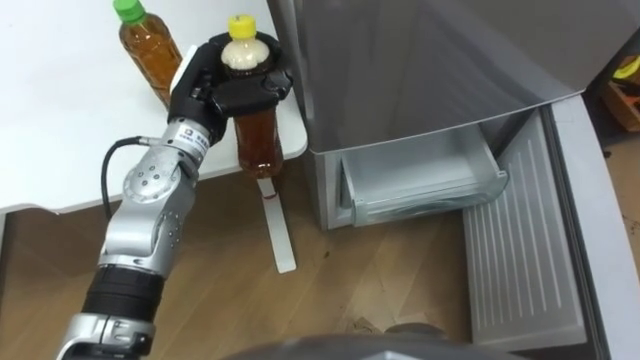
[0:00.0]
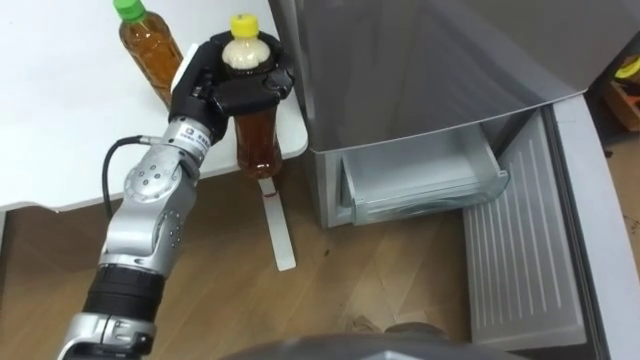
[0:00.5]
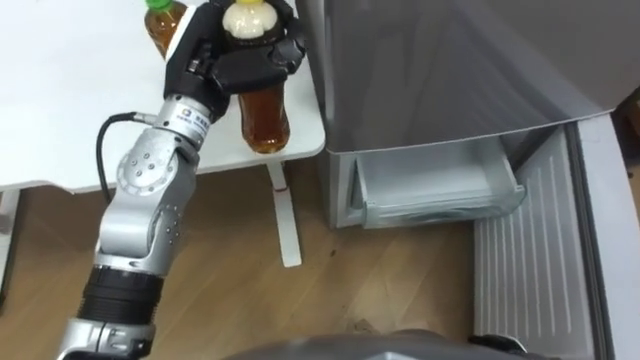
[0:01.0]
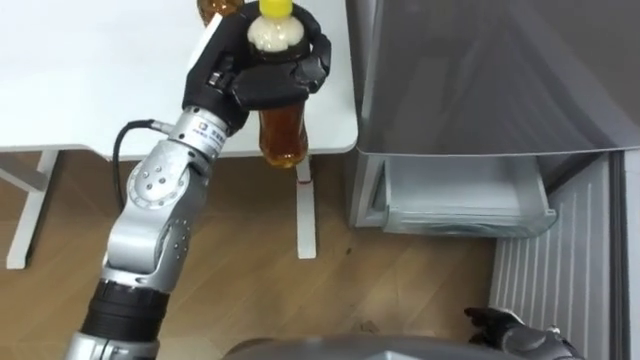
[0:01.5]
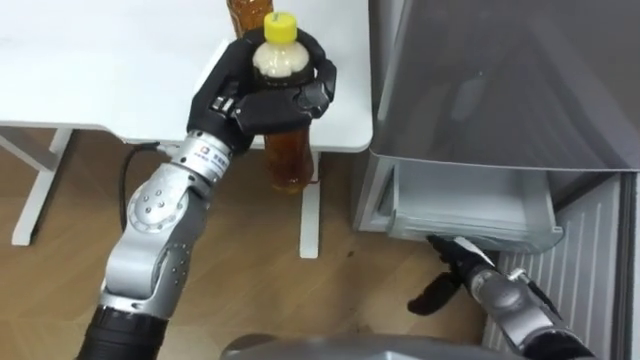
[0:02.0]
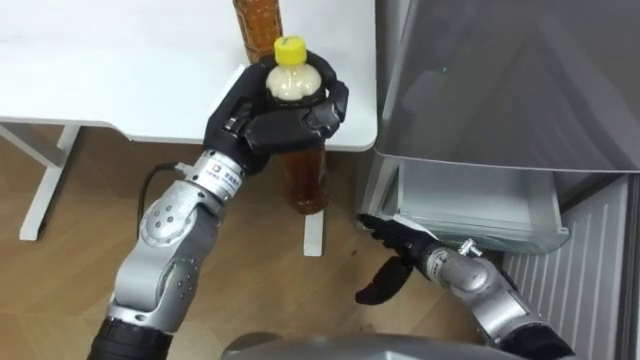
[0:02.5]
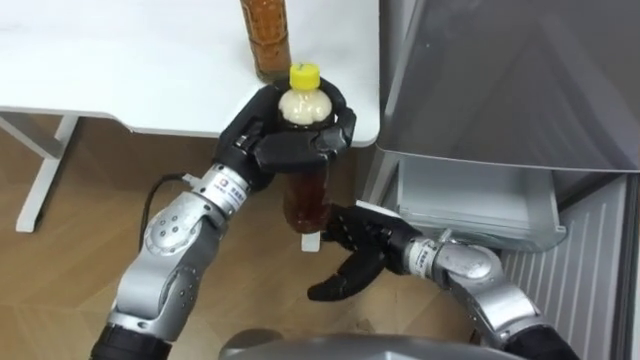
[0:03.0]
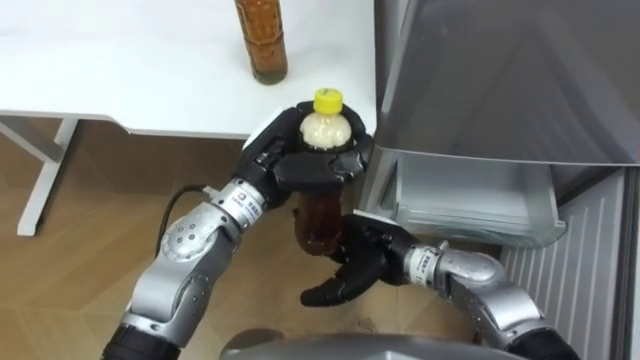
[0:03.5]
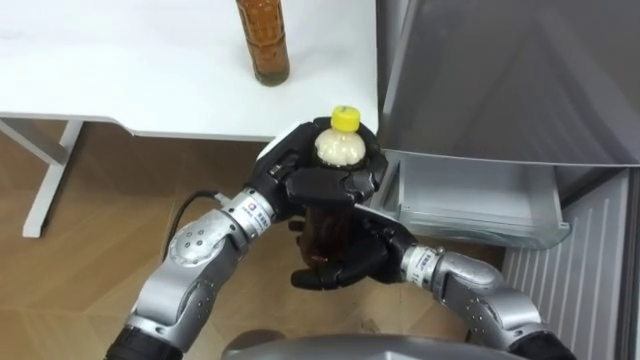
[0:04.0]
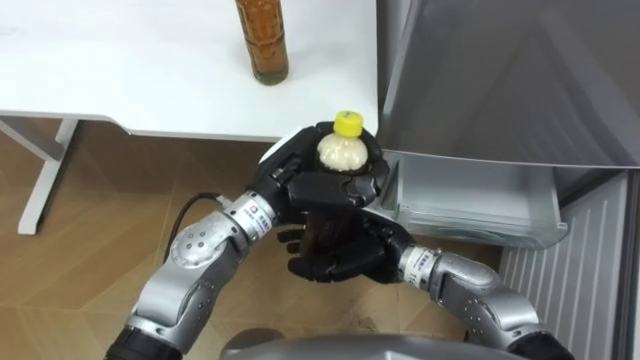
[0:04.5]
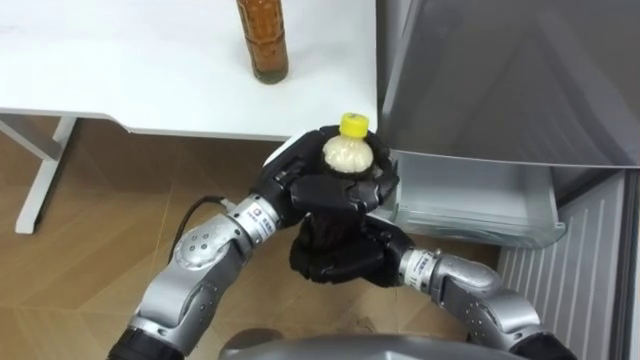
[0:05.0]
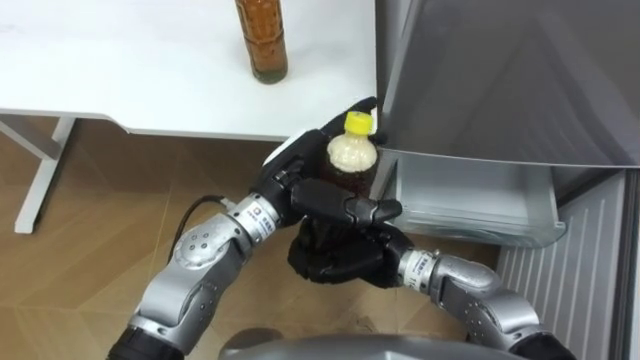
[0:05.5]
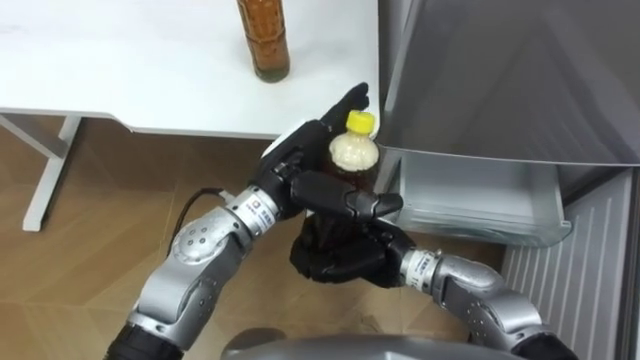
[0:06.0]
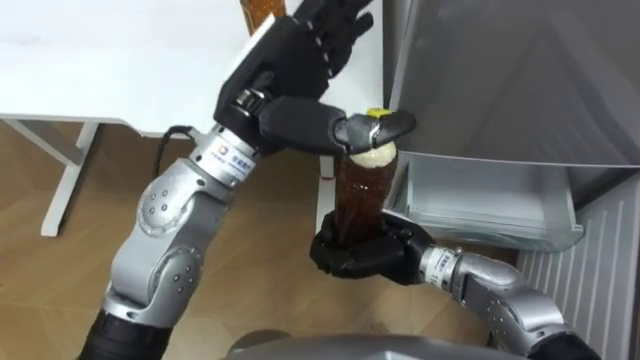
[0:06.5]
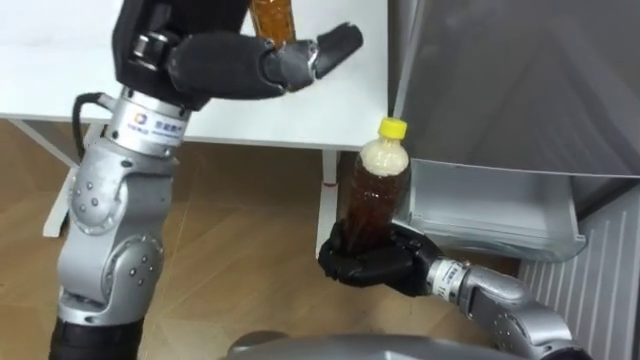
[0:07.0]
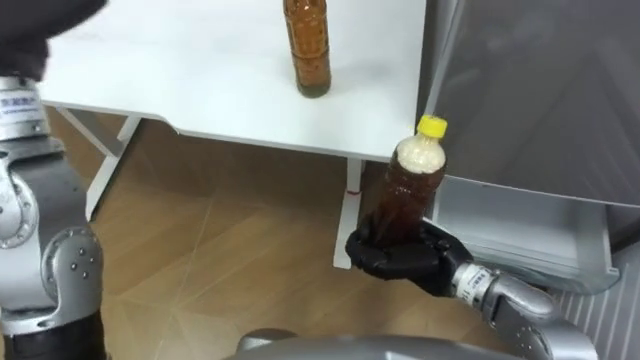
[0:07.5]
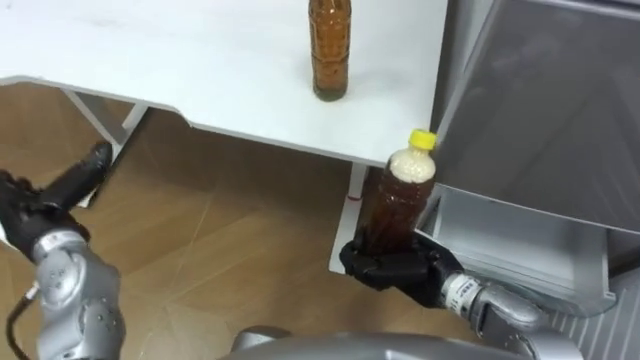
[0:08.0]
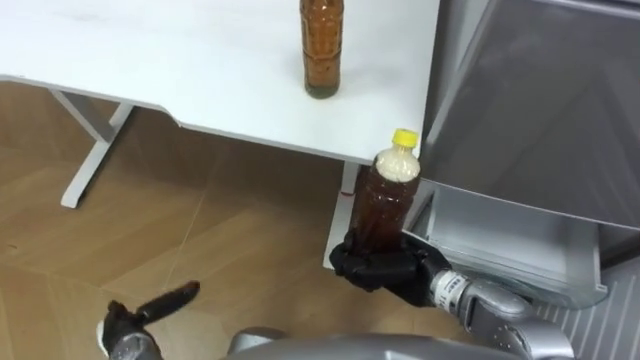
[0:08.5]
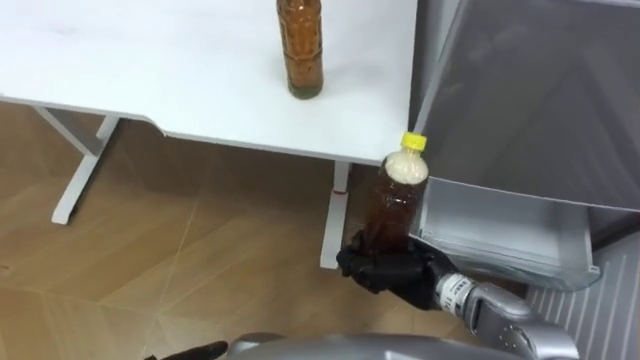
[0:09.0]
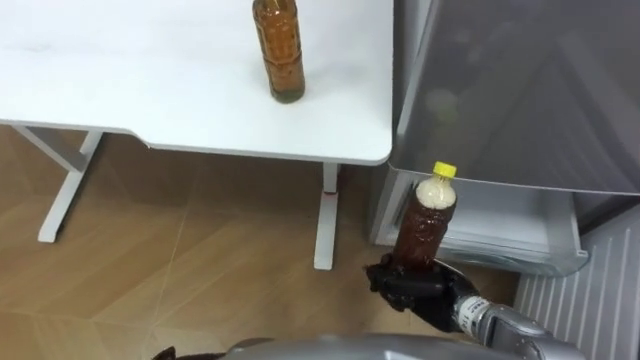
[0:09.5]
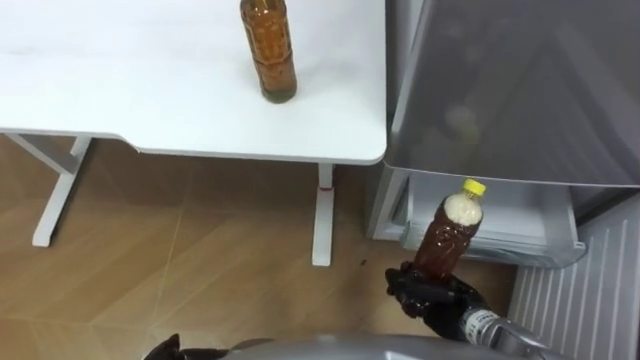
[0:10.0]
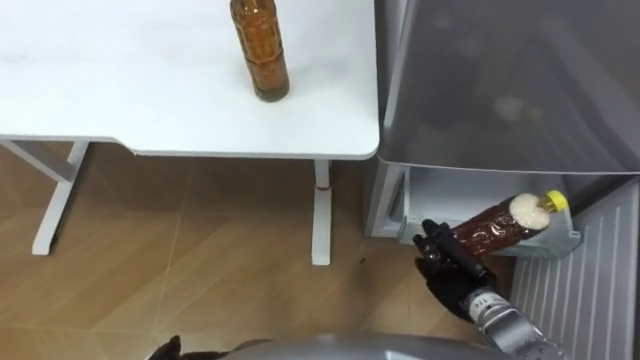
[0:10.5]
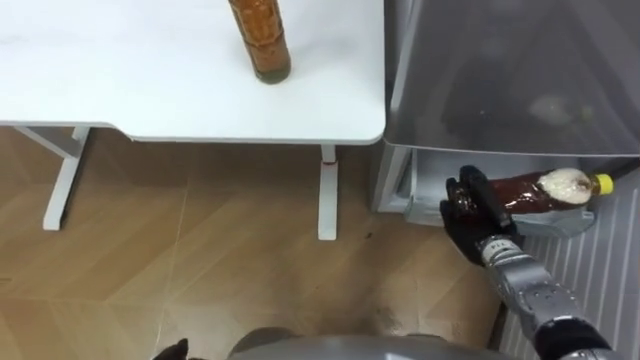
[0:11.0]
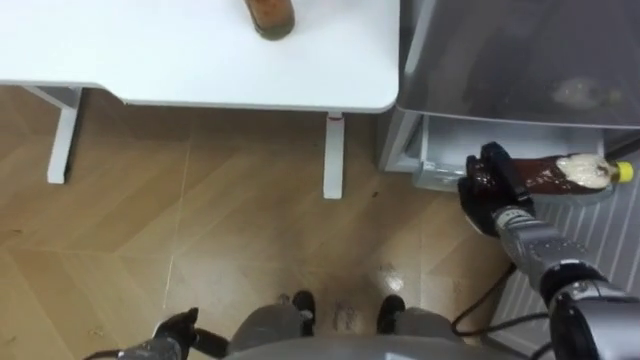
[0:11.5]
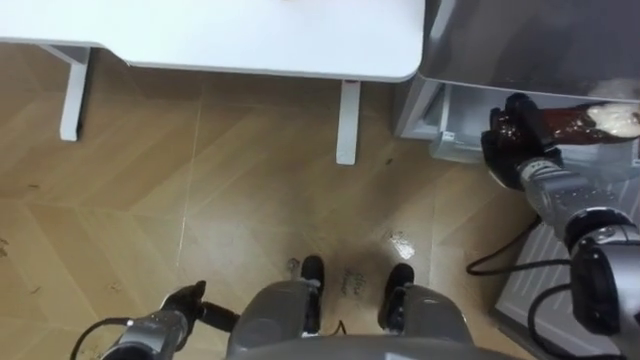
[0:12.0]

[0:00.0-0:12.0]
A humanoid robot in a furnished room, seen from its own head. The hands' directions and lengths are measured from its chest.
Task of the whole recording: Place the drink on the table on the bottom shelf of the refrigerator, then close the drawer and the refrigerator door.
0:00.0 to 0:02.0: The left hand shifts by some 5 cm.
0:02.0 to 0:04.0: The right hand is displaced to the left and upward by roughly 20 cm, while the left hand travels downward, to the right and backward by roughly 10 cm.
0:04.0 to 0:06.0: The left hand opens. The right hand closes.
0:06.0 to 0:08.0: The right hand travels to the right by roughly 10 cm.
0:08.0 to 0:10.0: The right hand is displaced downward and to the right by some 10 cm.
0:10.0 to 0:12.0: The right hand heads forward and to the right, covering some 20 cm.

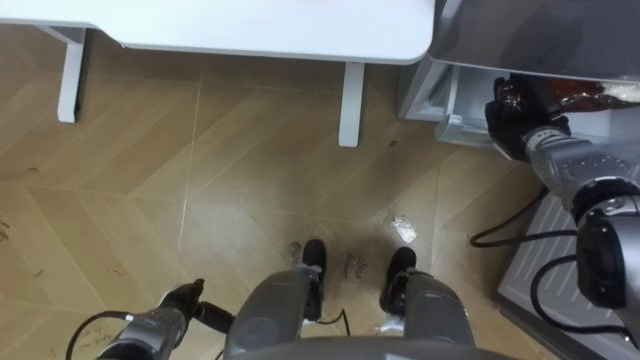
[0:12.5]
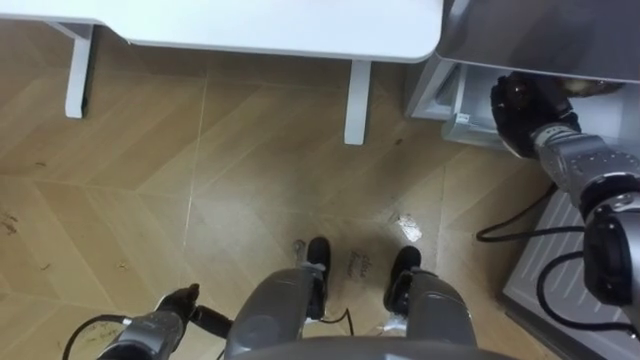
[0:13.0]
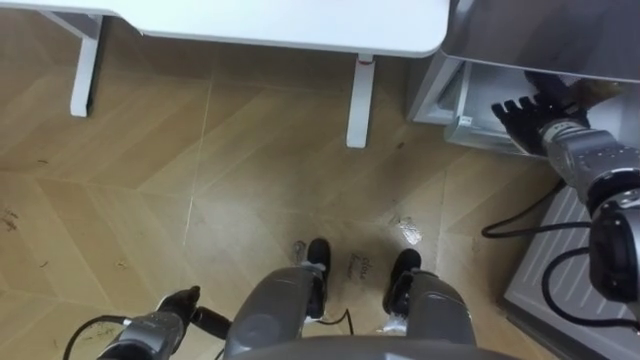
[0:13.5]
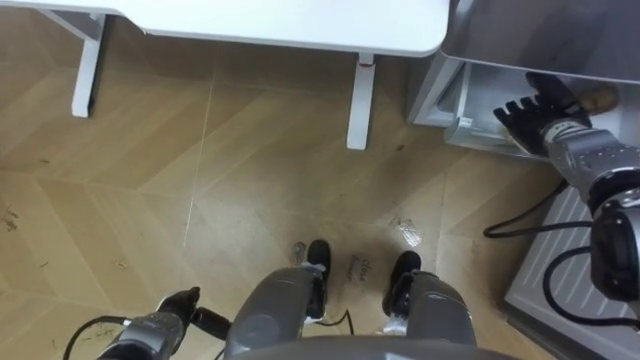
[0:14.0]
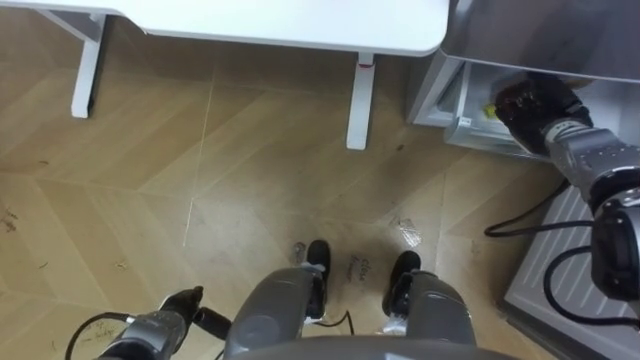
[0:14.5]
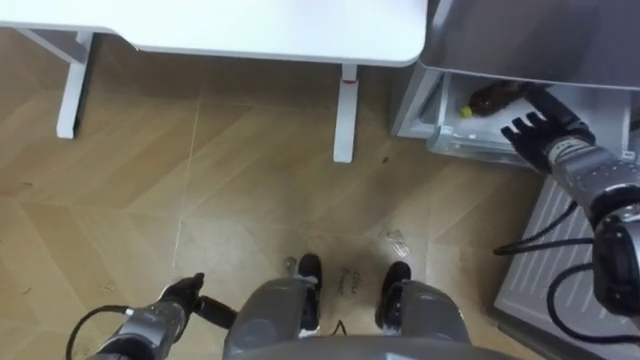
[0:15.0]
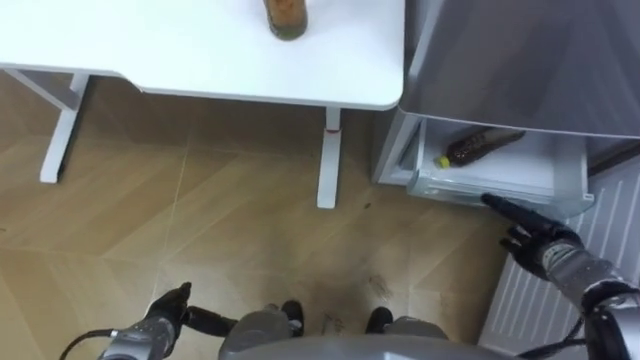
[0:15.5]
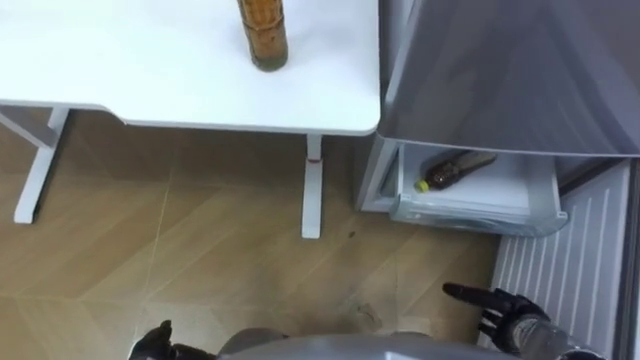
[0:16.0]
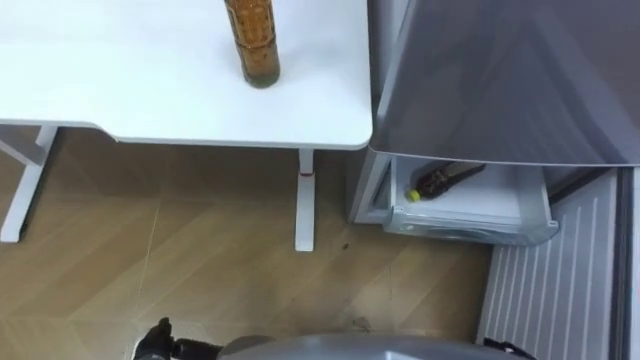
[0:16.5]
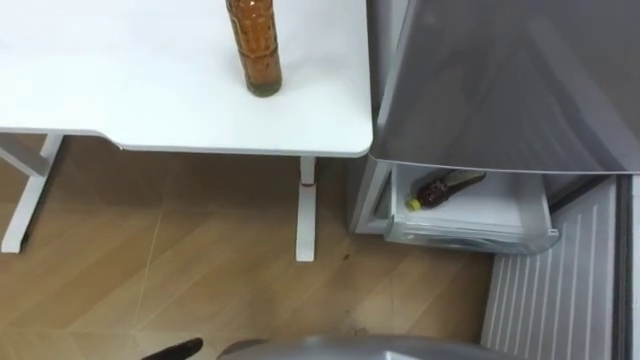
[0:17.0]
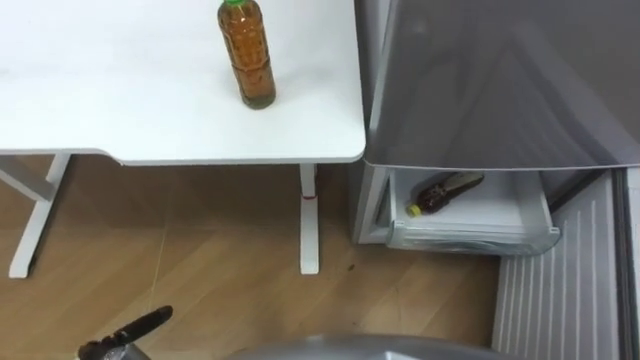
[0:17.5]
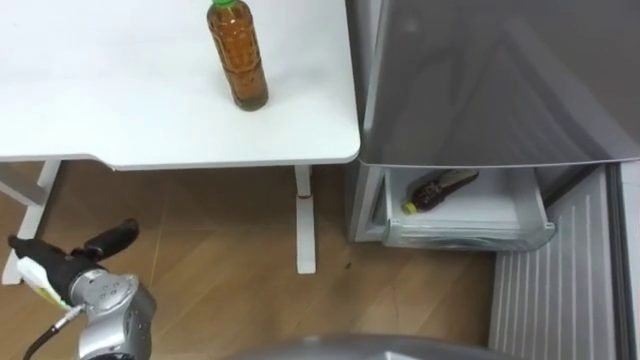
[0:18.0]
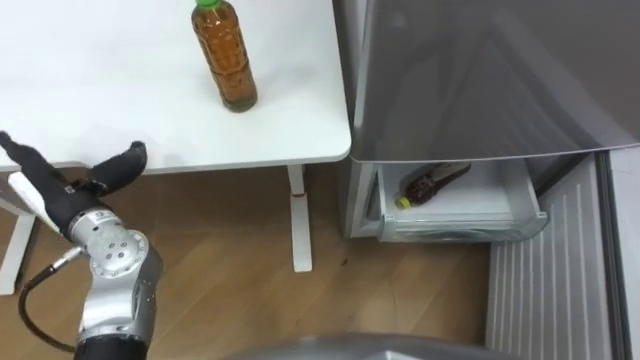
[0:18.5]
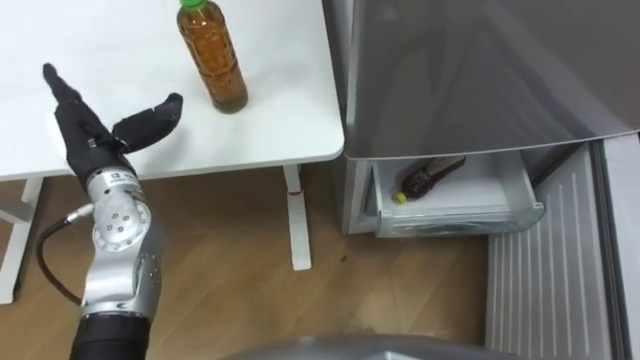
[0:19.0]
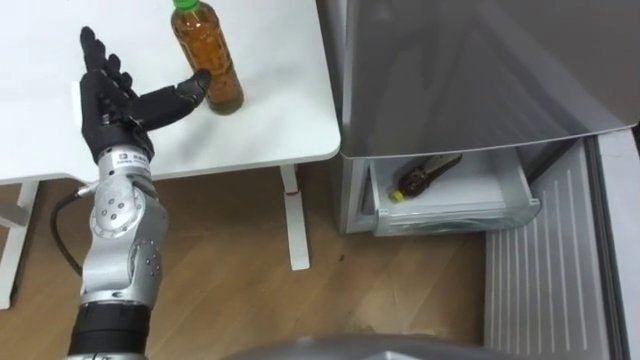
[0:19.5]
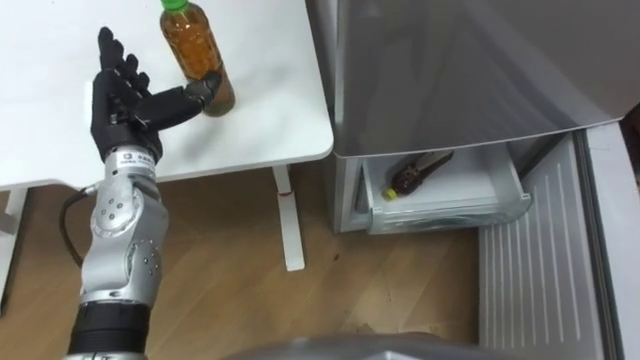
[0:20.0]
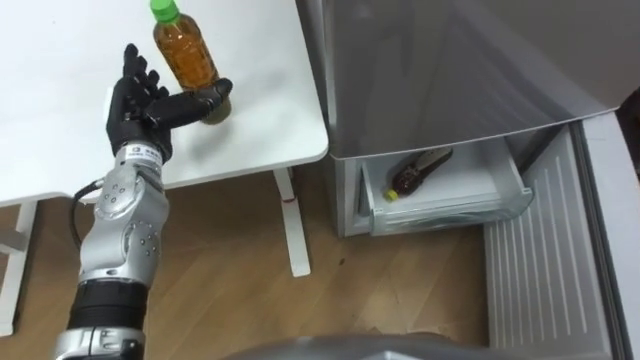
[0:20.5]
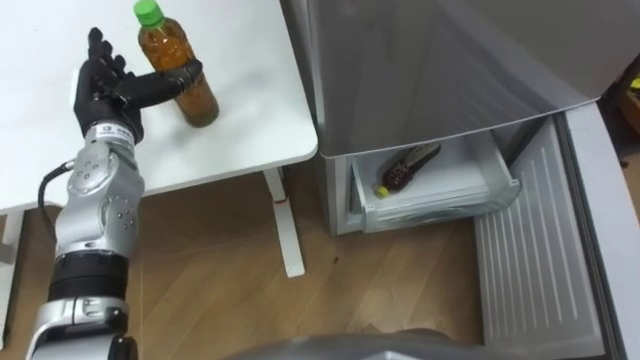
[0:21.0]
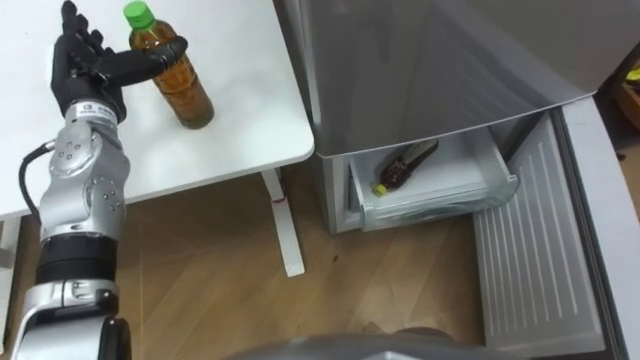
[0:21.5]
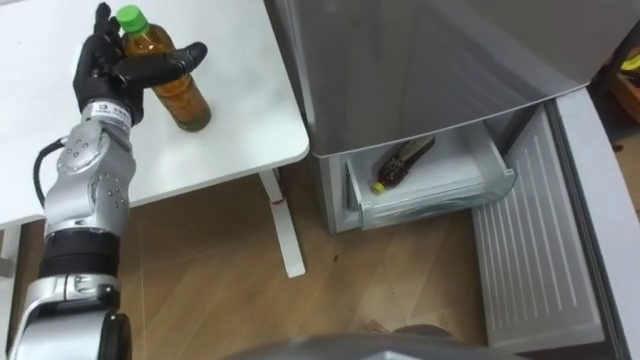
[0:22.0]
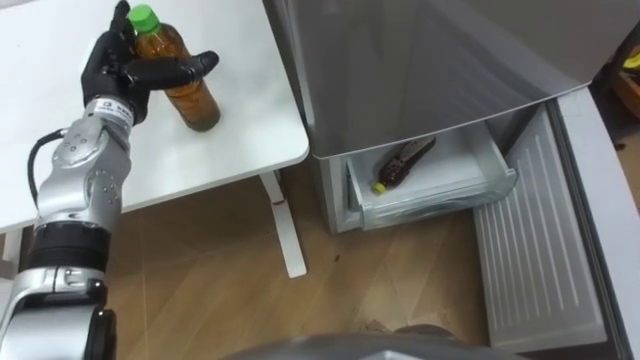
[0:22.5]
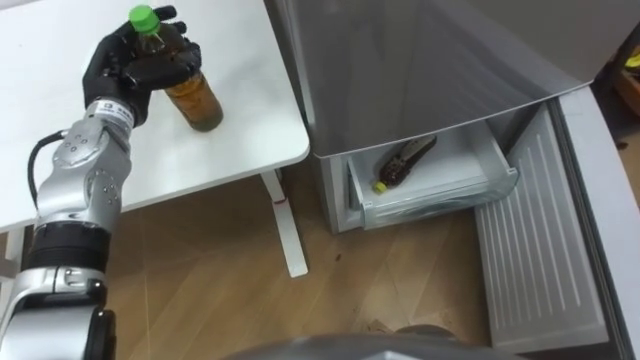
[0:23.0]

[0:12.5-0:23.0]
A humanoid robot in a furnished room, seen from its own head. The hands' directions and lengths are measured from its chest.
Task of the whole recording: Place the drink on the table on the bottom shelf of the refrigerator, then close the drawer and the refrigerator door.
0:12.5 to 0:14.5: The right hand opens up.
0:14.5 to 0:16.5: The left hand travels backward by some 5 cm.
0:19.0 to 0:21.0: The left hand moves forward, roughly 5 cm.
0:21.0 to 0:23.0: The left hand closes.
